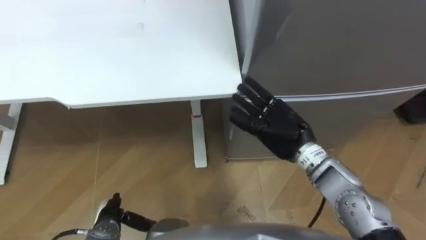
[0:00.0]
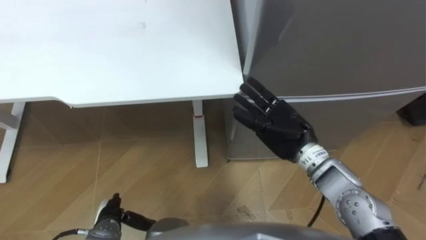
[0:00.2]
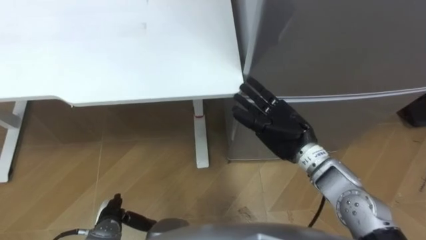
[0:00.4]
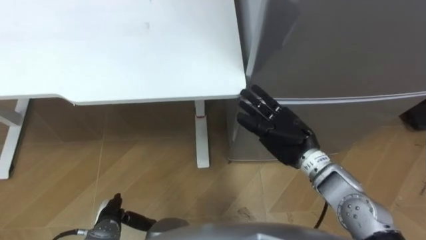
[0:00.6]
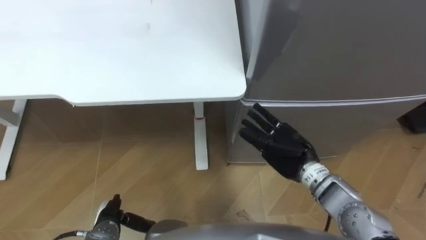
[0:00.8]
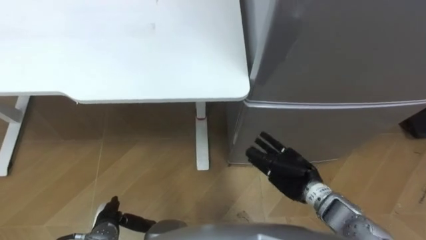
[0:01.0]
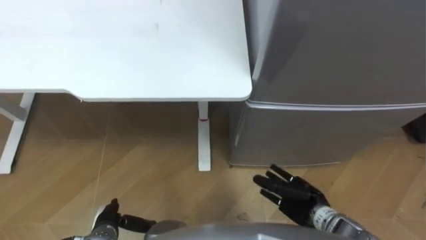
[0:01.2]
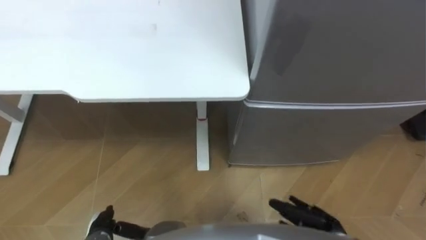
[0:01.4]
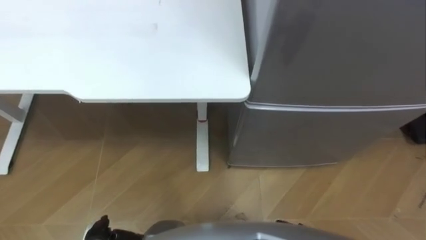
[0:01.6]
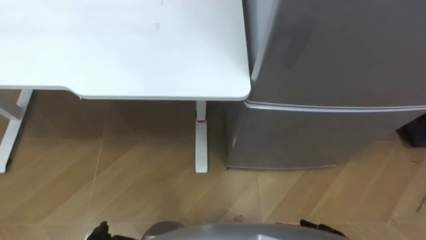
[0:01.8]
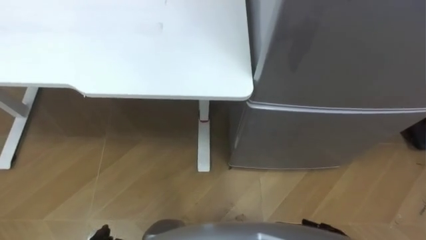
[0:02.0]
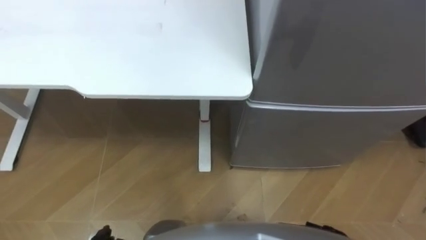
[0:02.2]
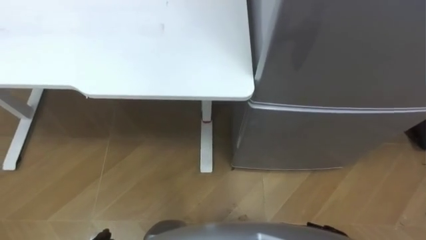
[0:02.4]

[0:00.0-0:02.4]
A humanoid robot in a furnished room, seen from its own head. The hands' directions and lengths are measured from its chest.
Task of the whole recording: Place the drink on the table on the bottom shelf of the refrigerator, then close the drawer and the refrigerator door.
0:00.0 to 0:01.2: The right hand goes approximately 15 cm downward and backward.

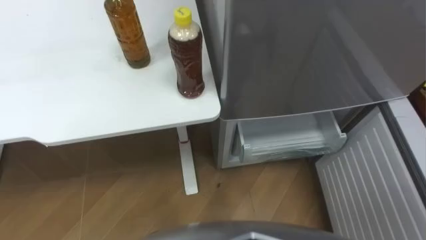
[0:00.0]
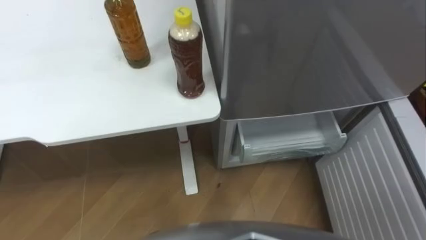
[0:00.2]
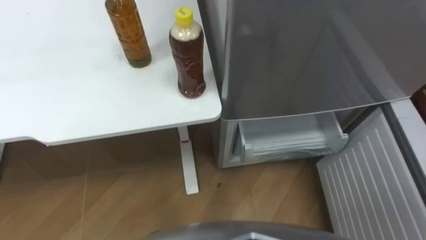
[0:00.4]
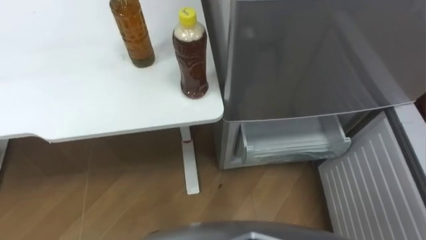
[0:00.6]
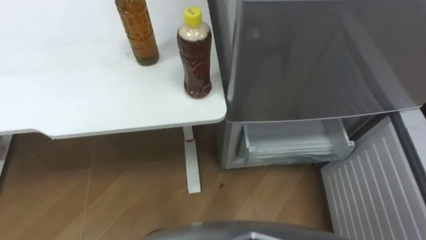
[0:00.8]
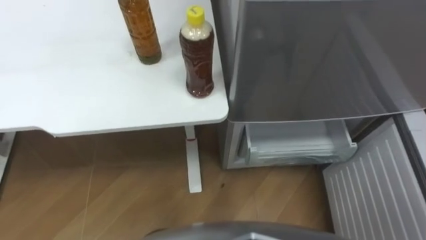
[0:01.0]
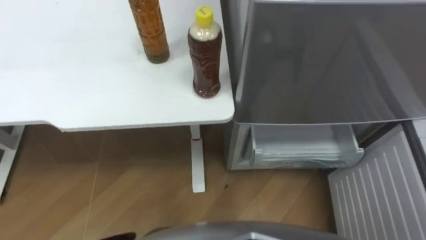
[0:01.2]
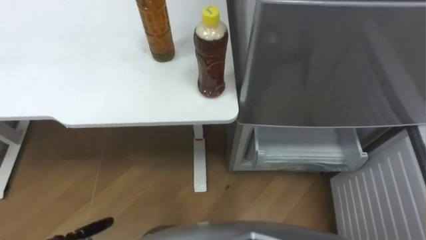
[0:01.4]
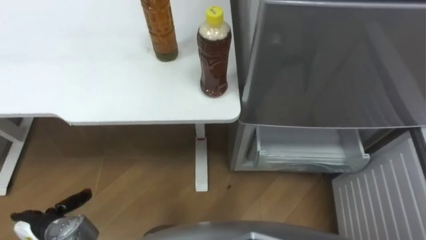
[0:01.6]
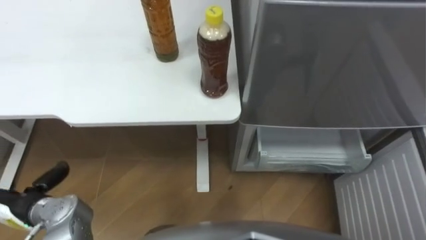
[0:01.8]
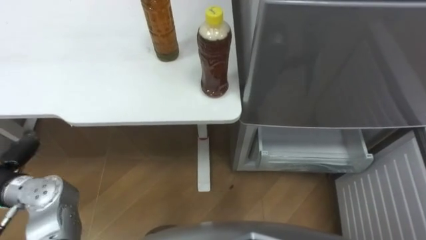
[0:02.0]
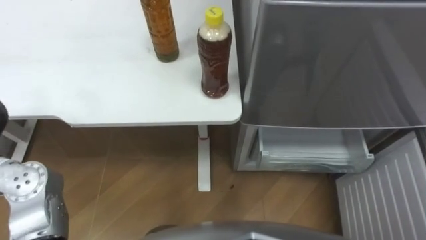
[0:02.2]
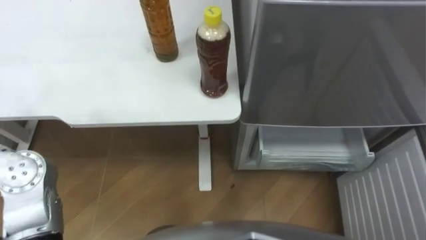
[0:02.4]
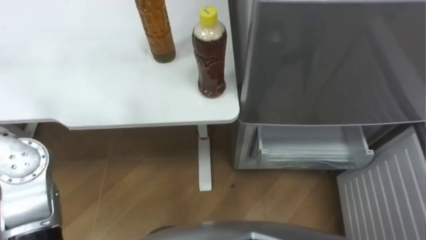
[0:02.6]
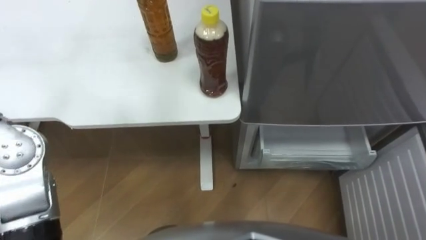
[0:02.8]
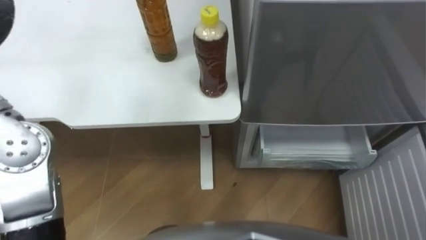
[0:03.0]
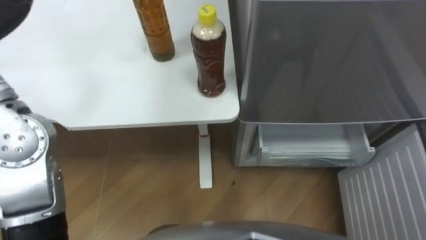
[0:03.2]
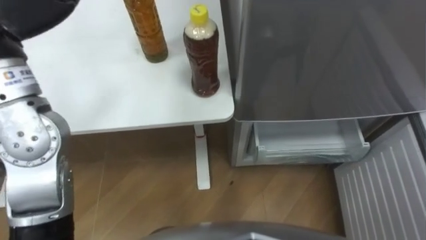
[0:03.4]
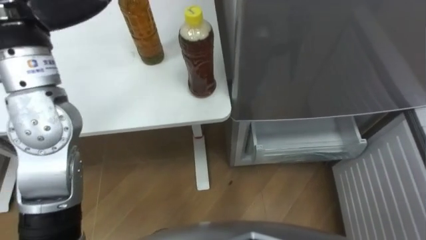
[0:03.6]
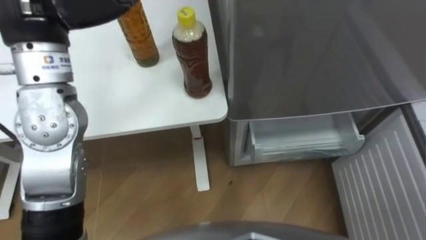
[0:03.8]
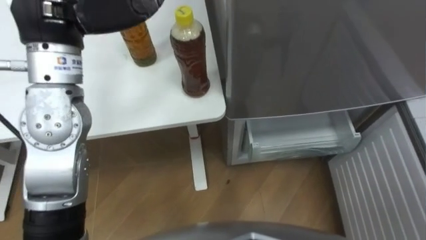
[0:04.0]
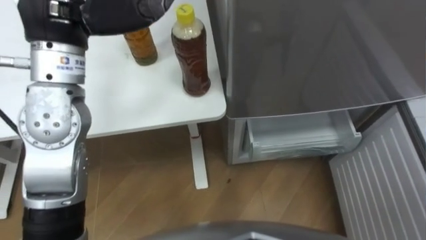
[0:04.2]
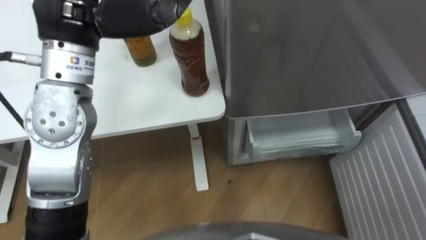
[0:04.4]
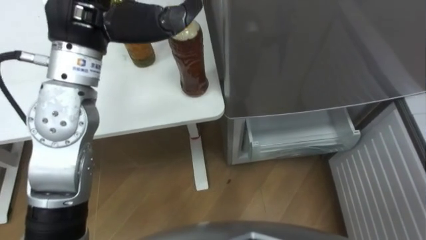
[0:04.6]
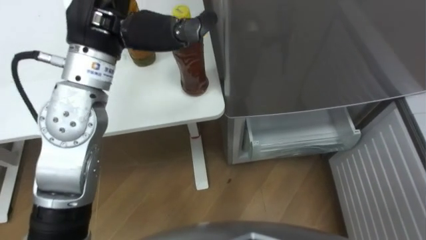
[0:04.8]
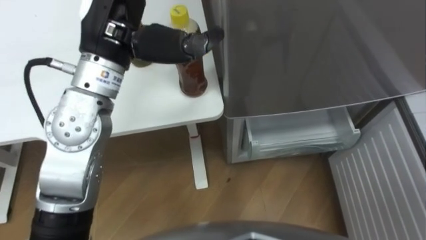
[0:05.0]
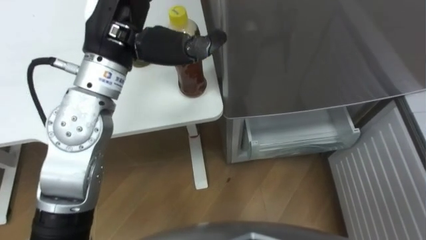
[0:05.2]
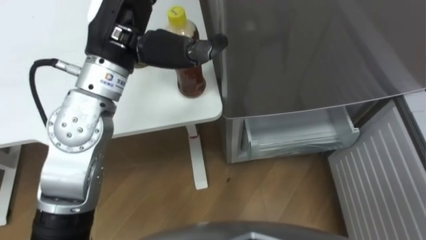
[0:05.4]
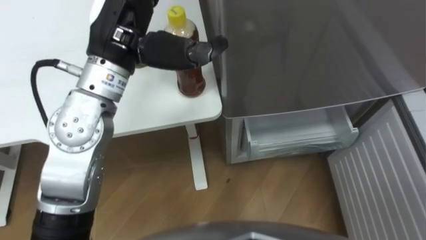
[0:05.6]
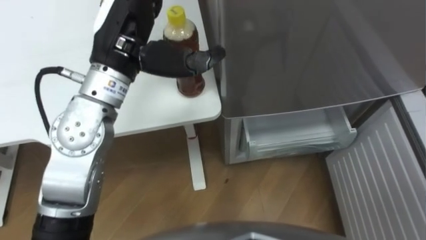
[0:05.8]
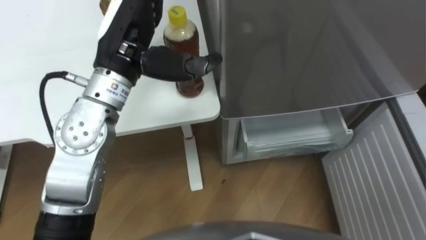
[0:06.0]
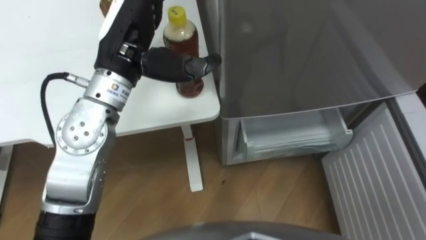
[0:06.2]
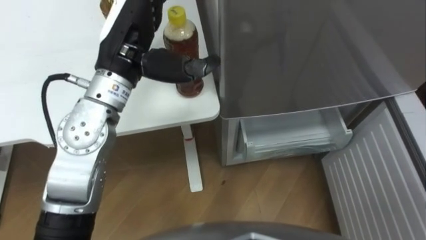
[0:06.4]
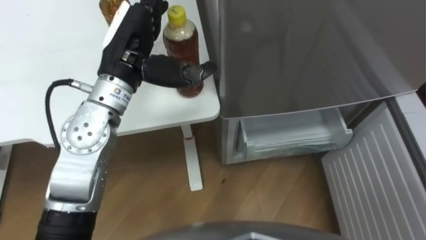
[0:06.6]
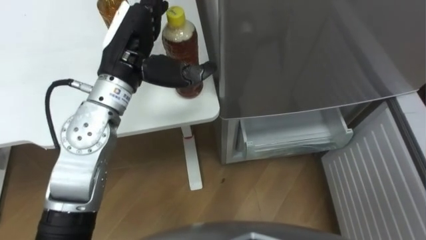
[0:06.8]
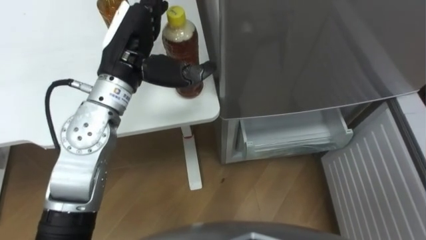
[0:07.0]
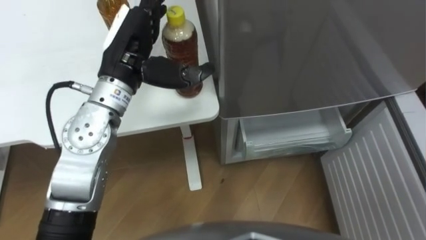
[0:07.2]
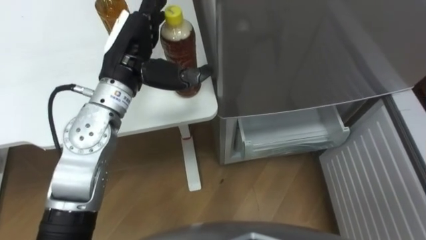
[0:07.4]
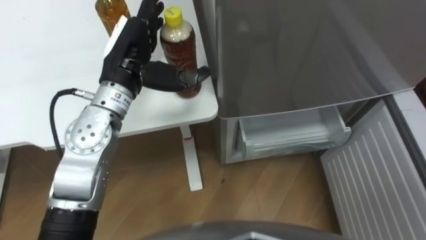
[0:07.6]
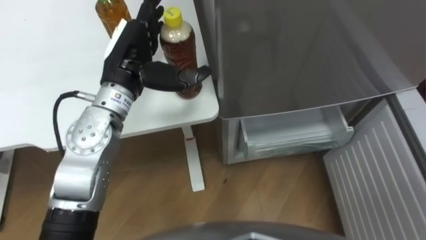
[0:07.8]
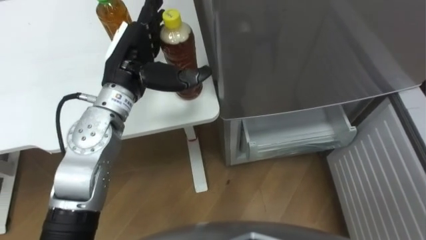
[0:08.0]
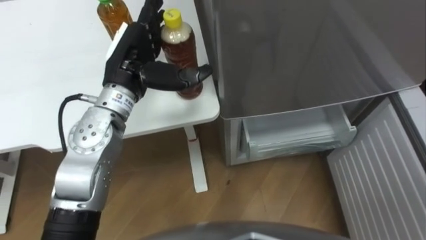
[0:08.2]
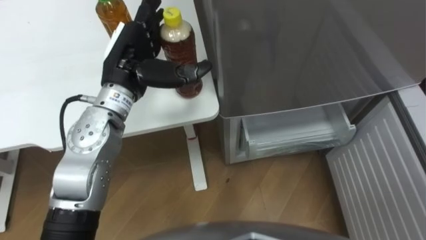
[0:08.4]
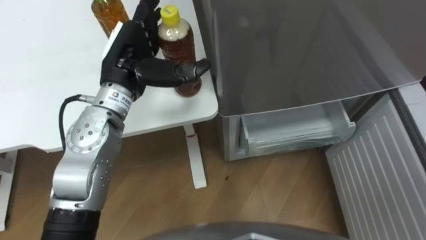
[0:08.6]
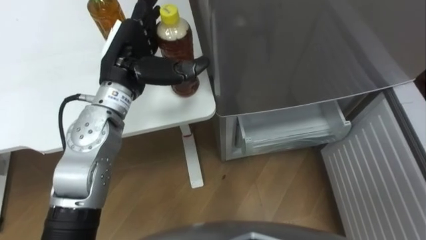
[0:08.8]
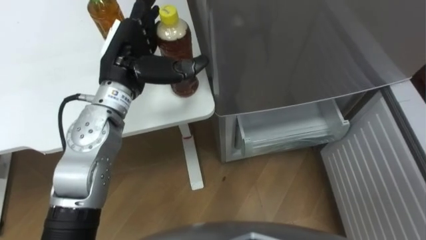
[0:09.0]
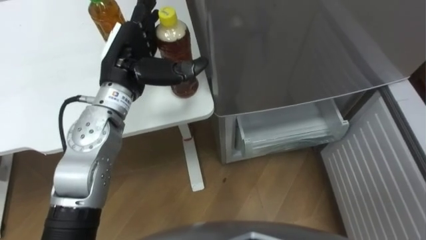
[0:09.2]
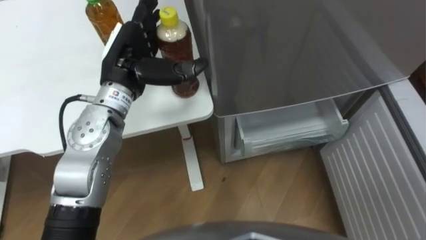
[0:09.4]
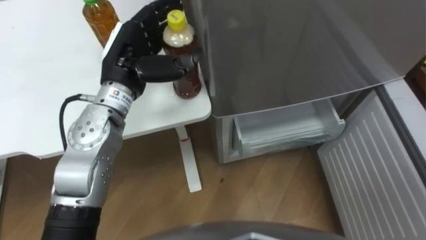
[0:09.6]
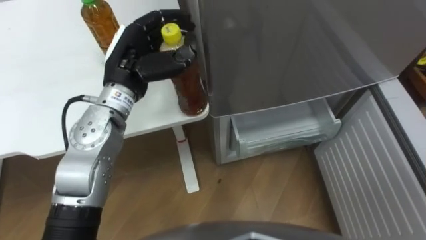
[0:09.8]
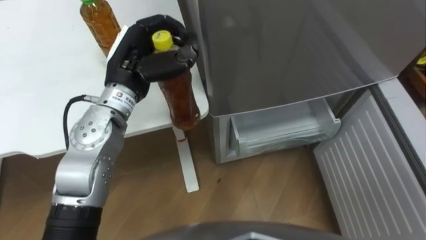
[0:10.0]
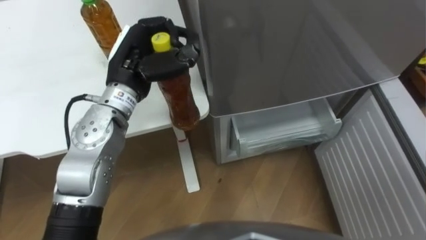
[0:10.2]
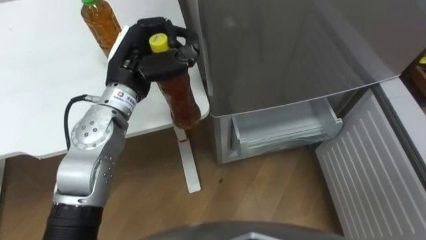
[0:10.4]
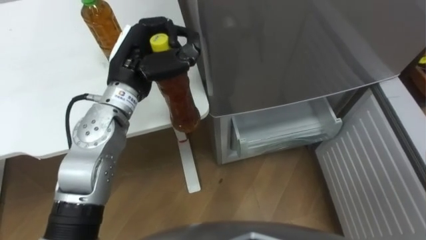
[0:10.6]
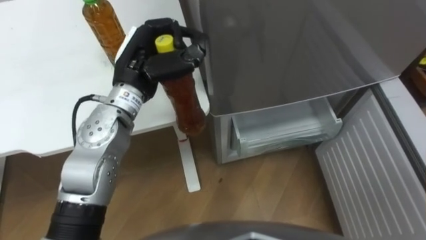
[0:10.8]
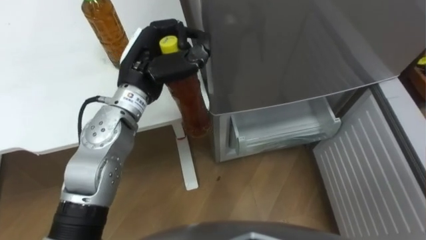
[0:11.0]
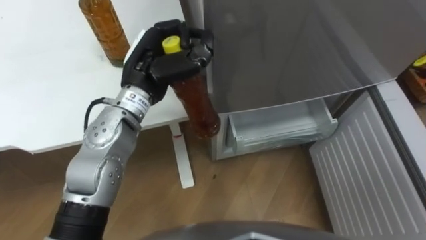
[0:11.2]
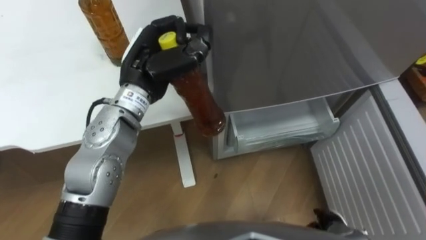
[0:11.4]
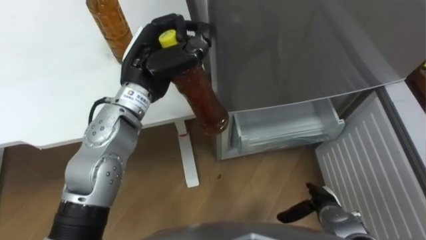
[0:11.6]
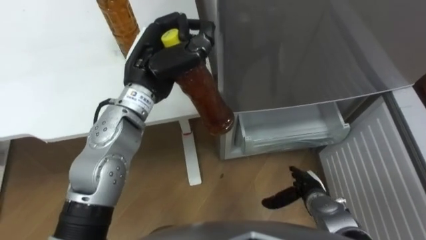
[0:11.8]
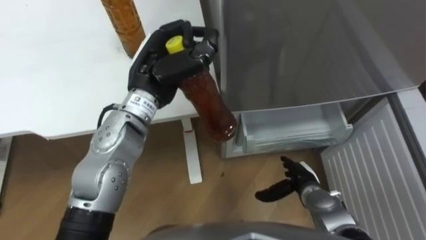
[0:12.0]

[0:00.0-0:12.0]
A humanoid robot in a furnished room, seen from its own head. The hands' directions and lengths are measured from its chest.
Task of the whole recording: Place the drink on the table on the bottom shelf of the refrigerator, then close the drawer and the refrigerator door.
0:04.4 to 0:06.0: The left hand shifts approximately 5 cm downward.
0:06.0 to 0:07.6: The left hand heads downward, covering some 5 cm.
0:09.0 to 0:10.4: The left hand closes up.

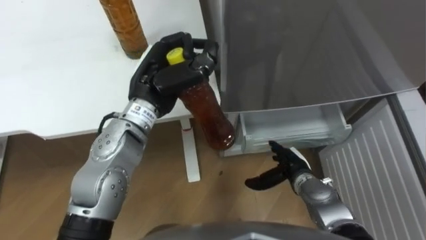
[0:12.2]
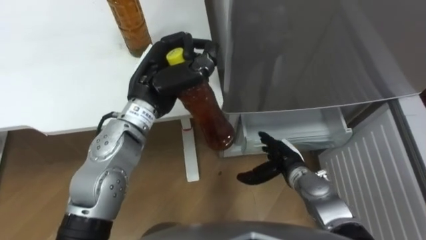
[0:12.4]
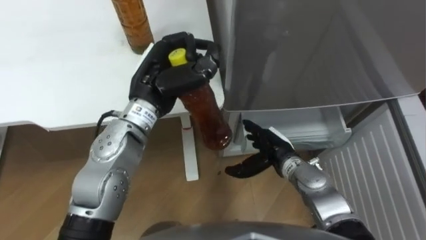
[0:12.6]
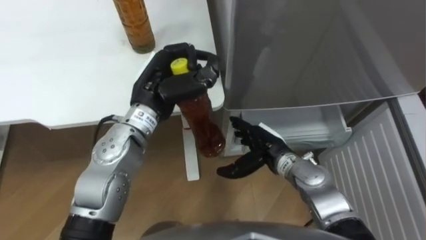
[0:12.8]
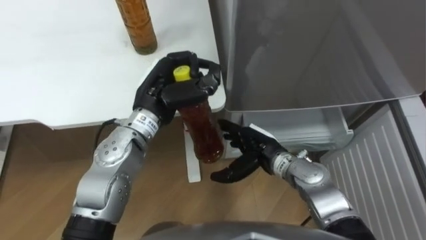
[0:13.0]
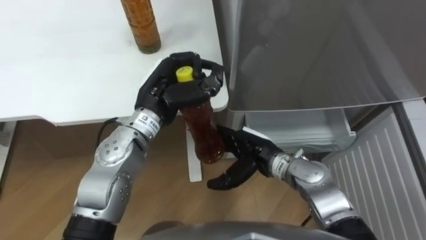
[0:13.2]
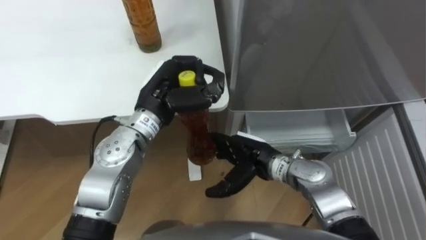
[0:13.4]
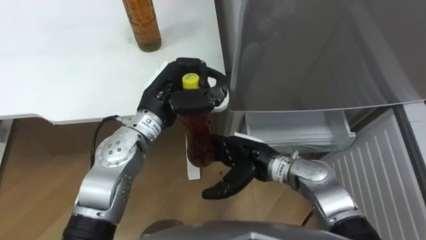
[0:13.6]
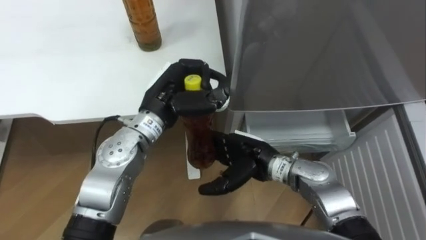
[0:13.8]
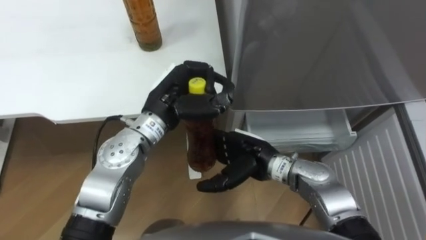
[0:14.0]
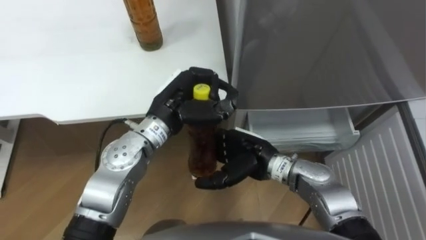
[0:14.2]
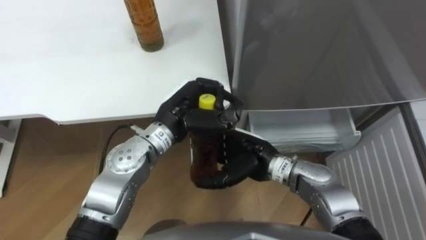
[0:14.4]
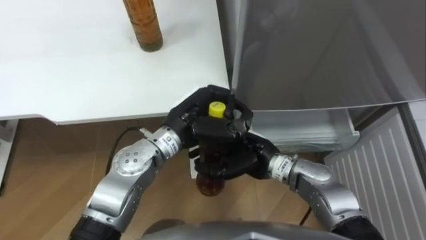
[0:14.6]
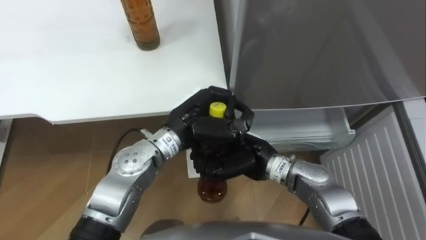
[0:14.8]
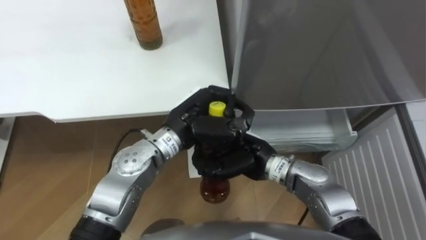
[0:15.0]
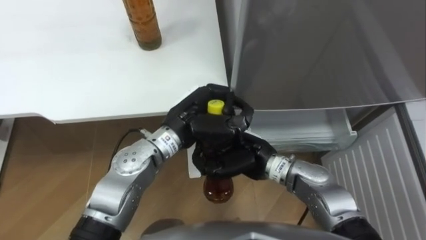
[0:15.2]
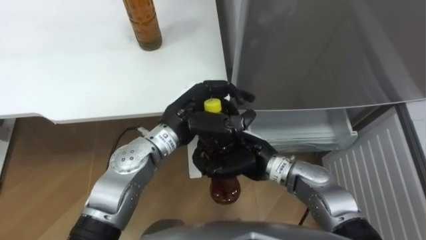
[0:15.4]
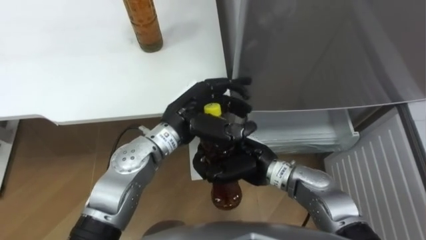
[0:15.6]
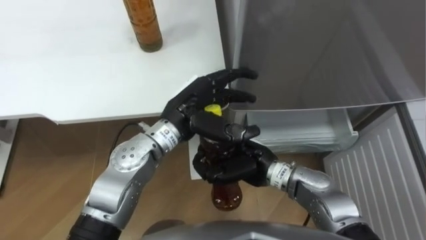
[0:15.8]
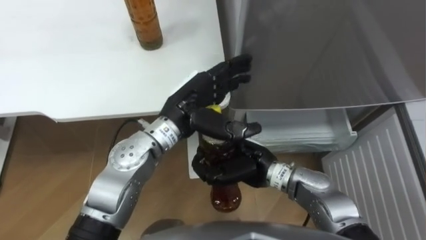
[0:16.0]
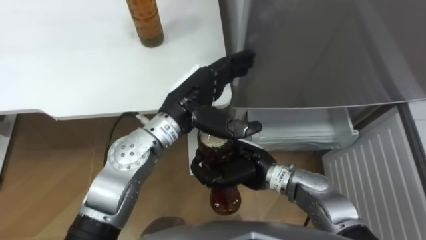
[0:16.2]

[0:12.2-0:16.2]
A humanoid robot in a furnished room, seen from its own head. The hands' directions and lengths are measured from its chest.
Task of the whole recording: Place the drink on the table on the bottom shelf of the refrigerator, then close the drawer and the refrigerator door.
0:12.2 to 0:13.6: The right hand travels to the left and upward by about 15 cm.
0:13.6 to 0:14.8: The left hand shifts by about 5 cm; the right hand closes.
0:14.8 to 0:16.2: The left hand opens its fingers.
